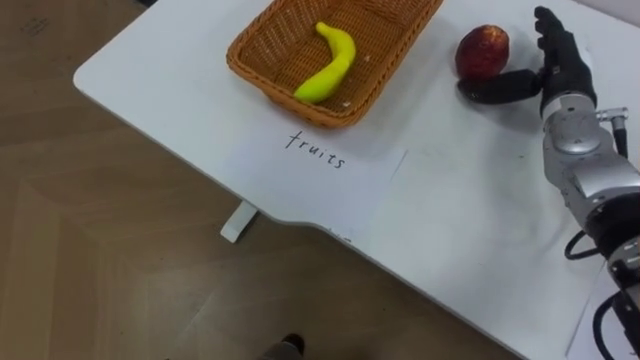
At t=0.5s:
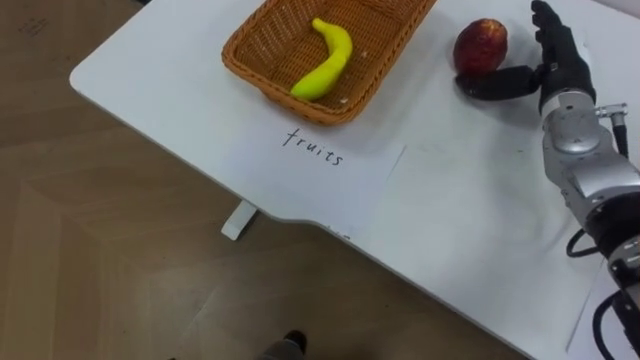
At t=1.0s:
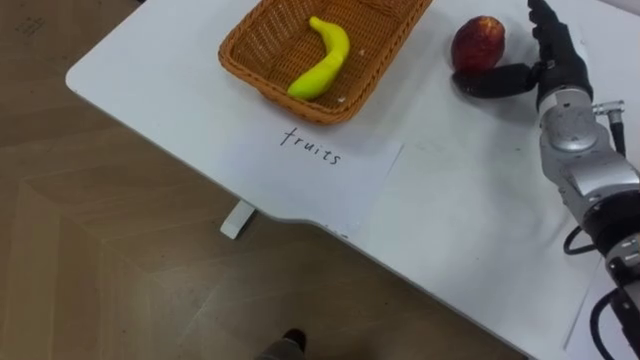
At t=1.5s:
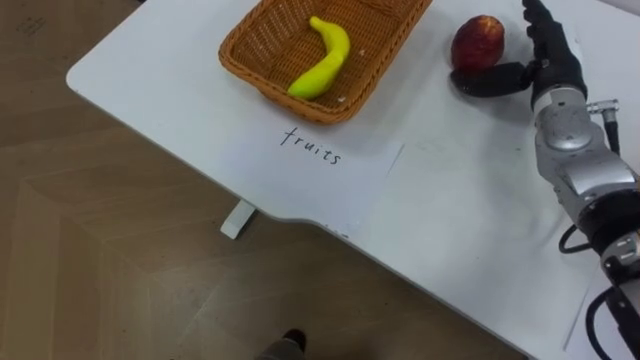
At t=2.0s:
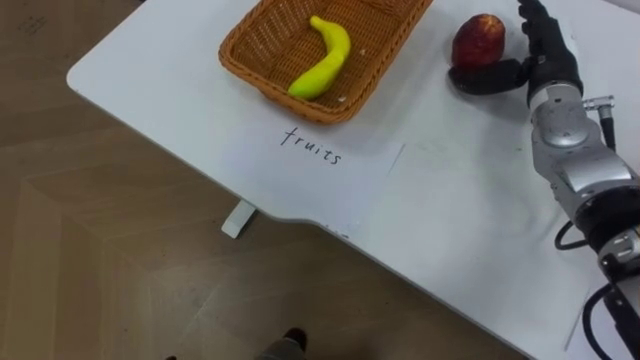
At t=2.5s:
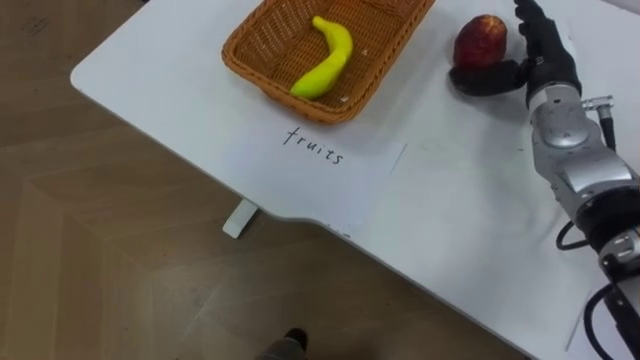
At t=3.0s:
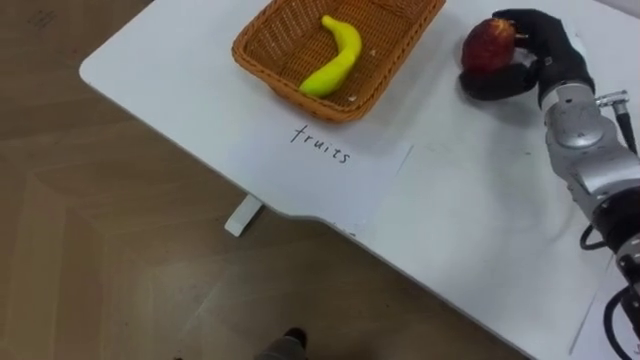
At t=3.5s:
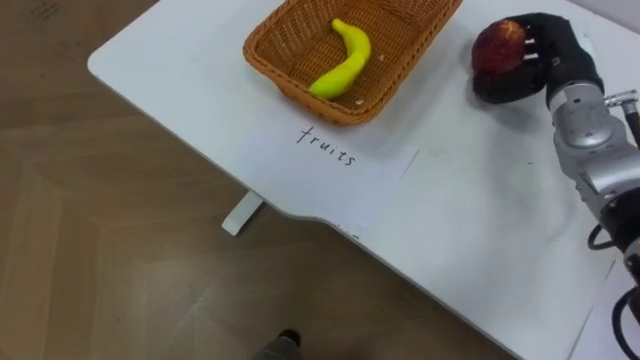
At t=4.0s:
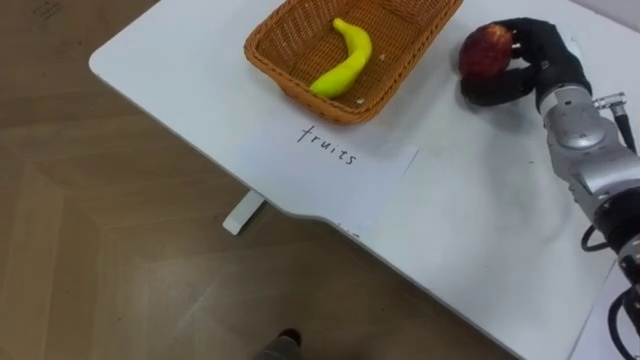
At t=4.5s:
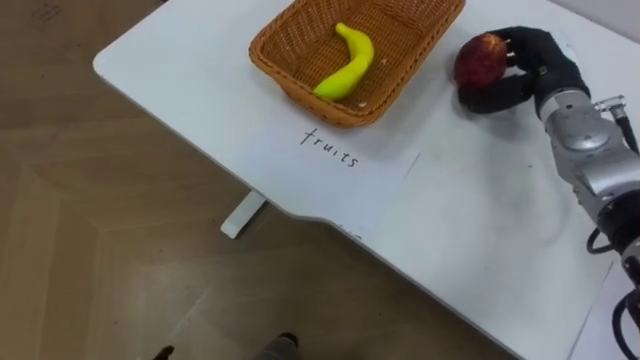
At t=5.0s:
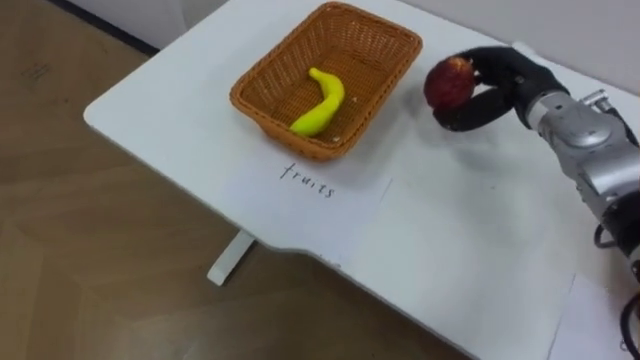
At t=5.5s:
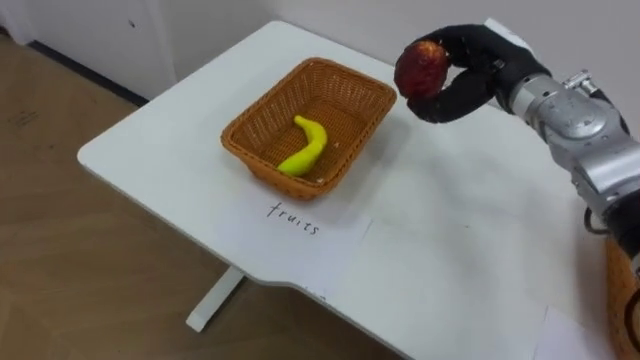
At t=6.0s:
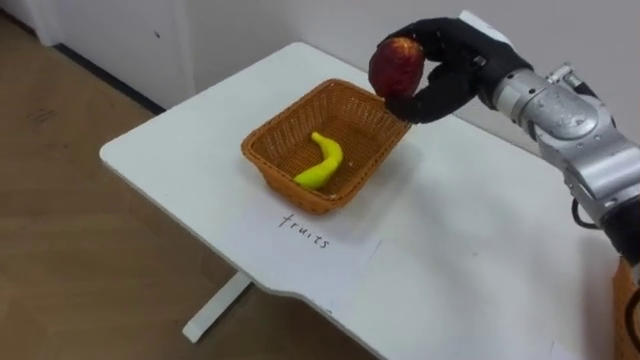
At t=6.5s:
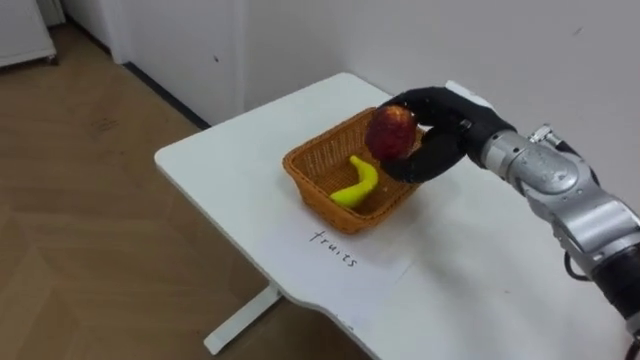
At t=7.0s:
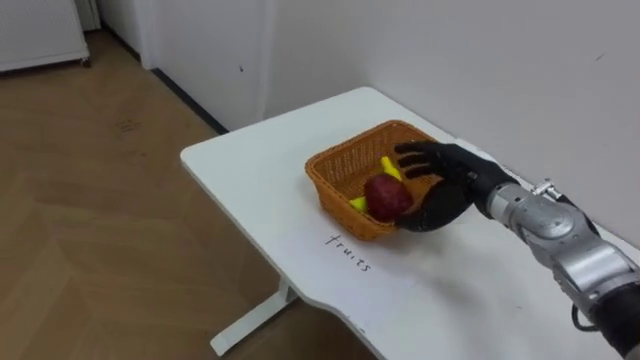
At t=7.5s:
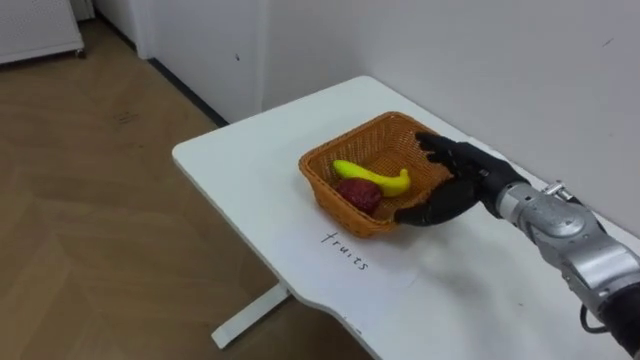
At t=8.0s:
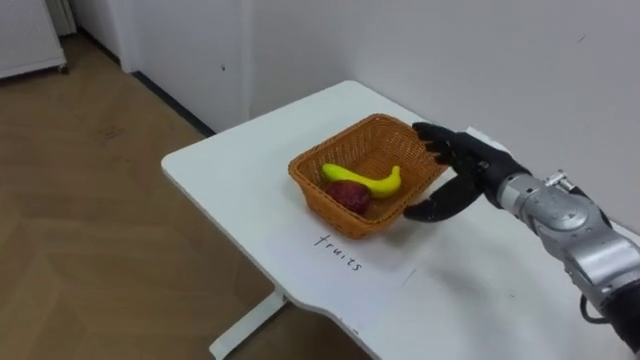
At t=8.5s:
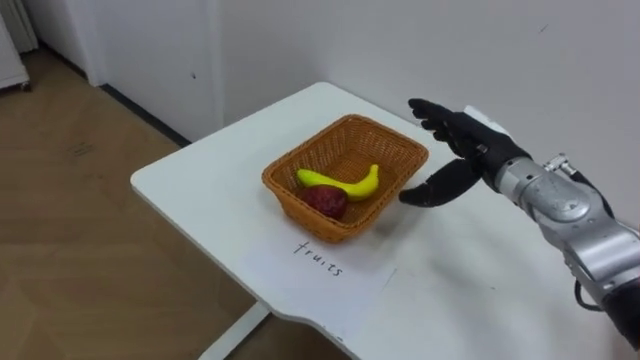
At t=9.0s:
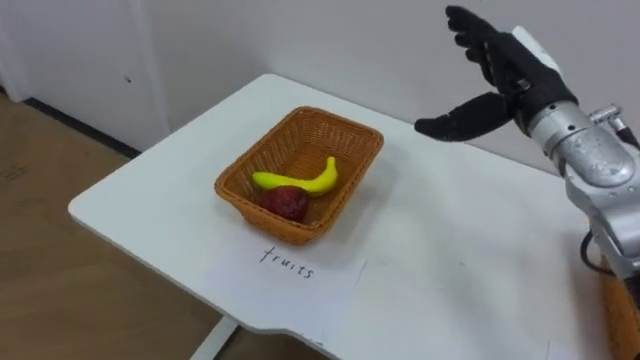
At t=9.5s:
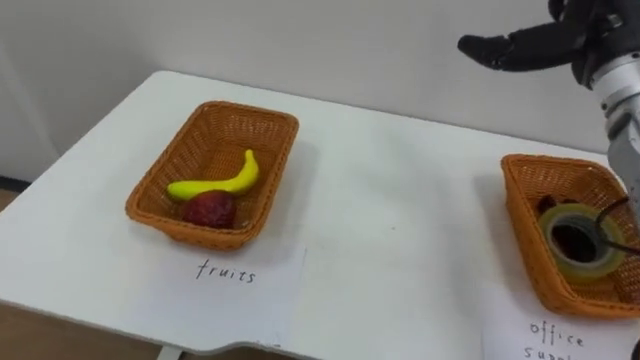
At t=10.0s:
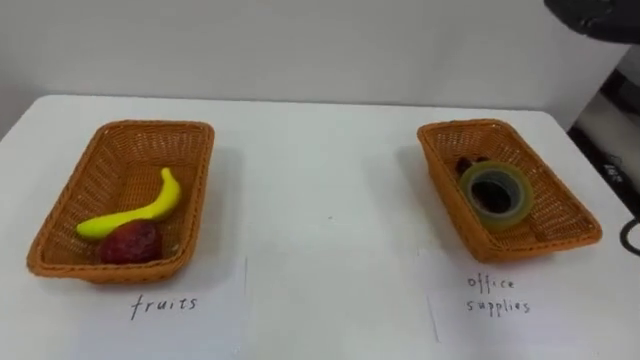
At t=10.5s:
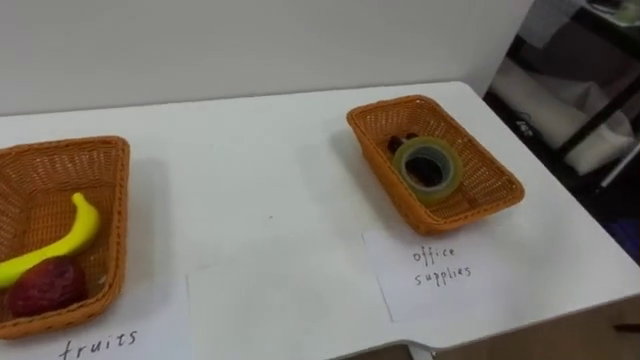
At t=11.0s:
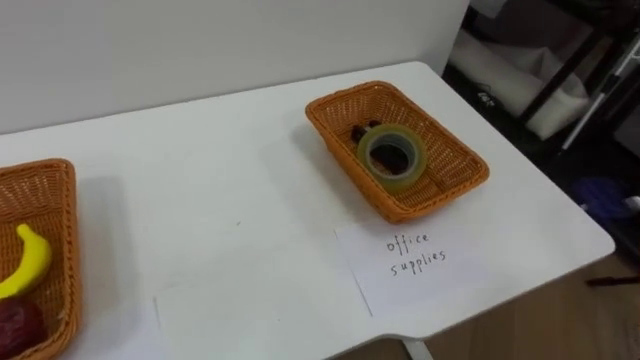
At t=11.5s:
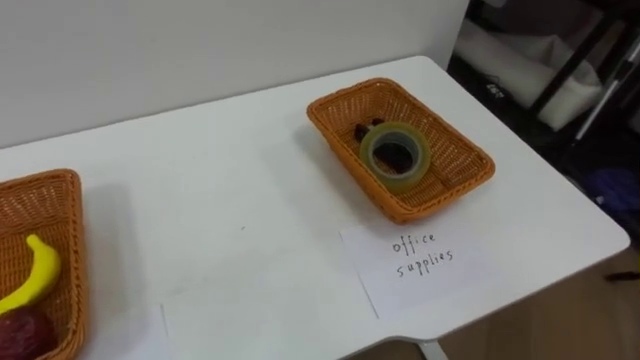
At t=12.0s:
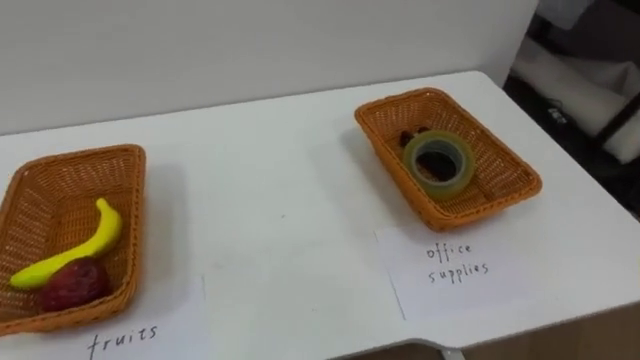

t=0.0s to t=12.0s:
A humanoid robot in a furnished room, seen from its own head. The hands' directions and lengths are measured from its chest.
Task of the whole recording: Separate the items on the table and place them into the two baskets.
t=2.0s to t=4.0s: The right hand closes its fingers.
t=4.0s to t=6.0s: The right hand shifts approximately 10 cm to the left.
t=6.0s to t=8.0s: The right hand shifts approximately 15 cm downward and backward, and opens its fingers.

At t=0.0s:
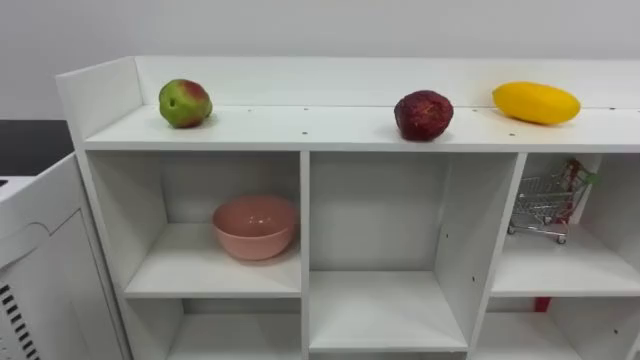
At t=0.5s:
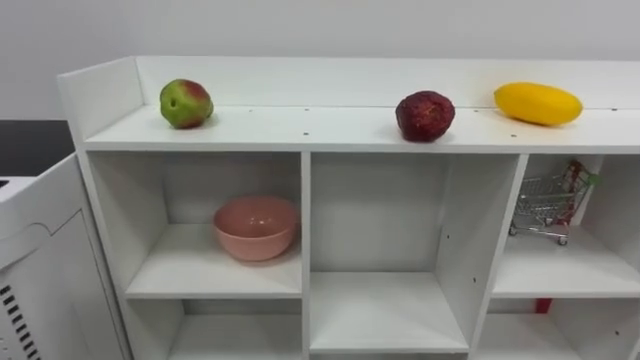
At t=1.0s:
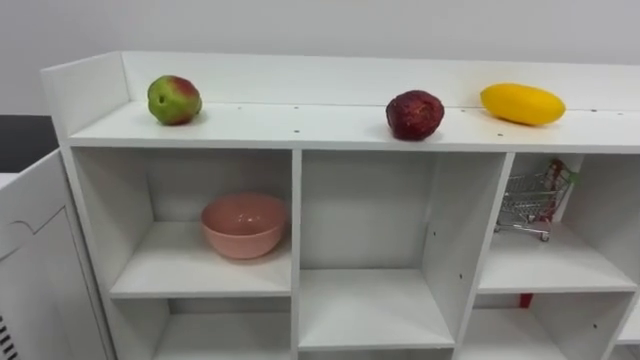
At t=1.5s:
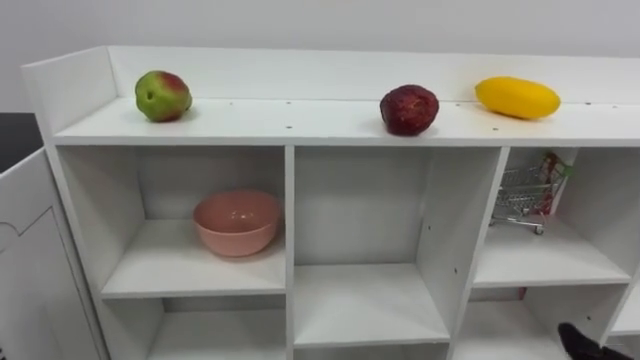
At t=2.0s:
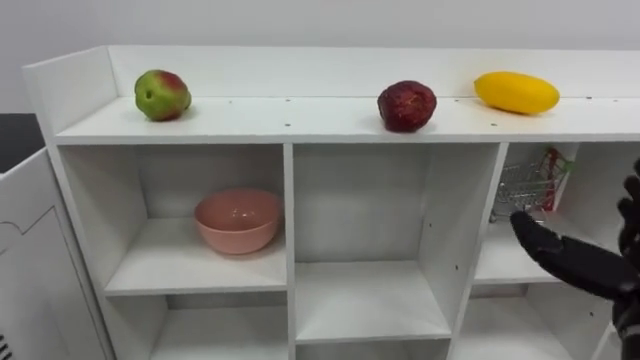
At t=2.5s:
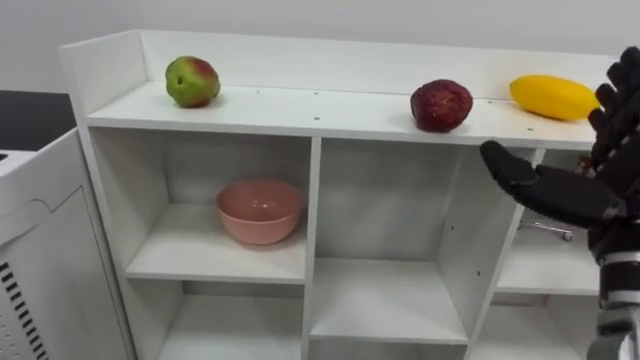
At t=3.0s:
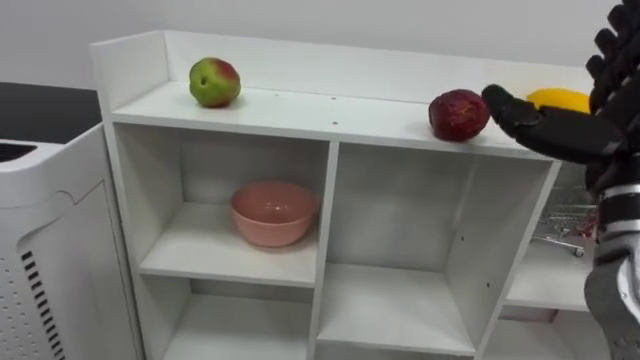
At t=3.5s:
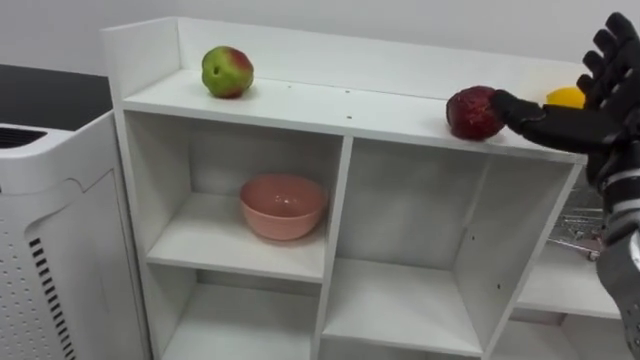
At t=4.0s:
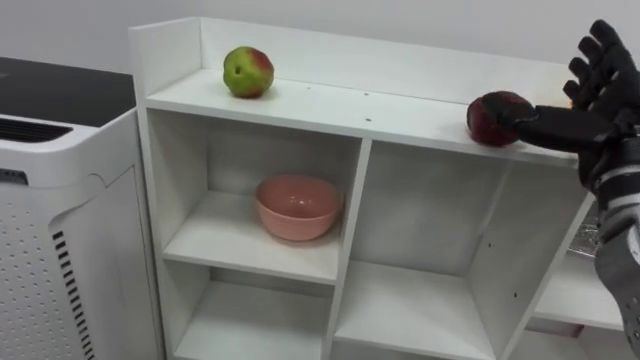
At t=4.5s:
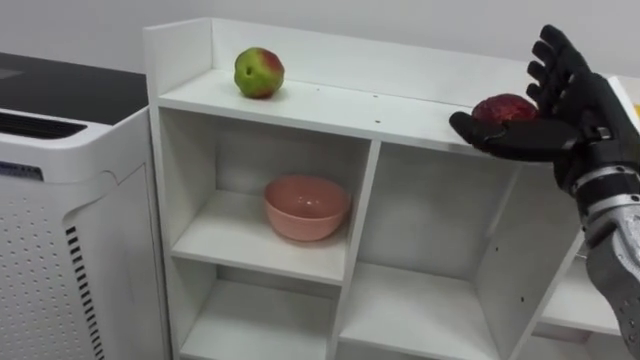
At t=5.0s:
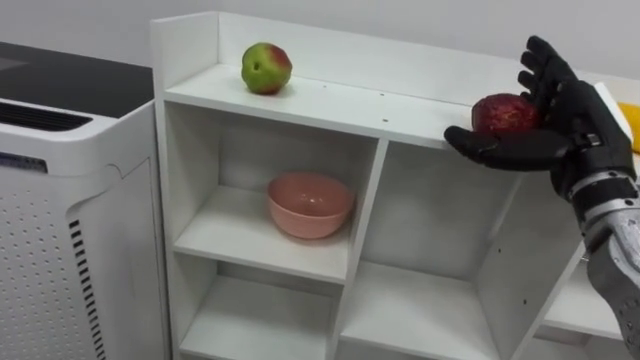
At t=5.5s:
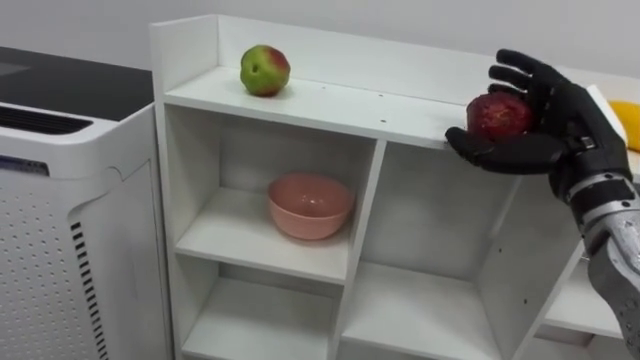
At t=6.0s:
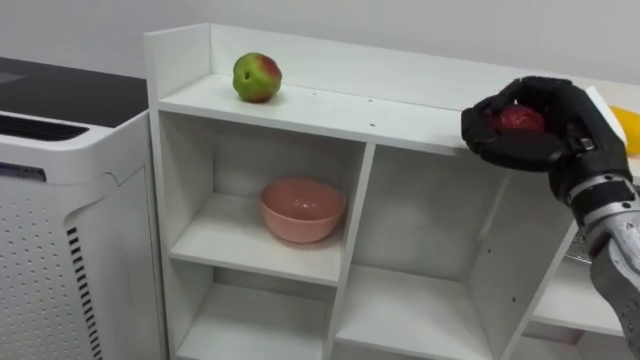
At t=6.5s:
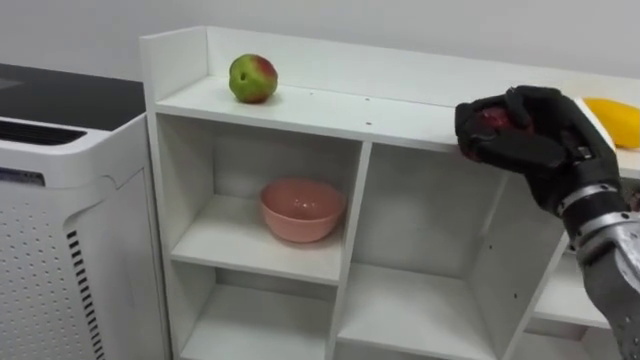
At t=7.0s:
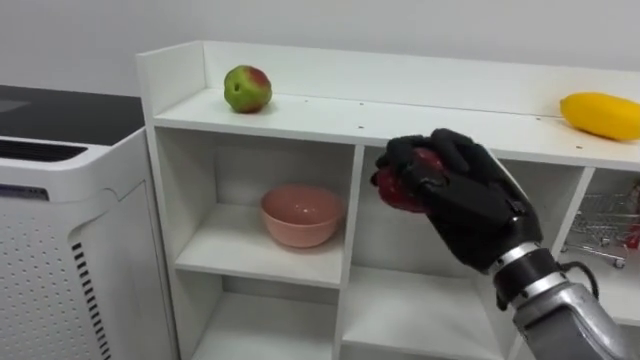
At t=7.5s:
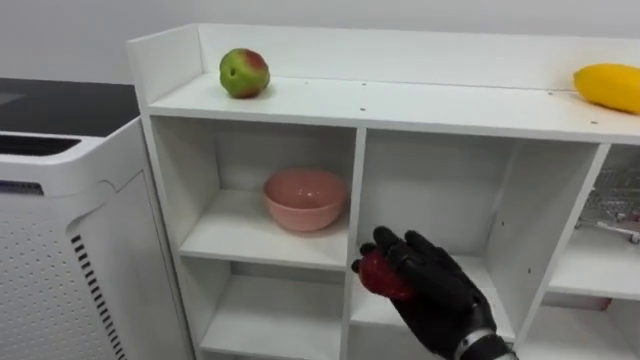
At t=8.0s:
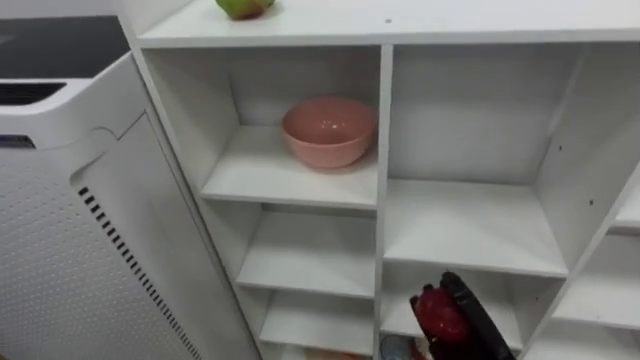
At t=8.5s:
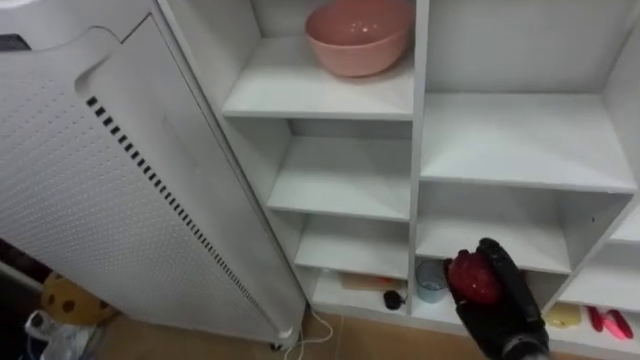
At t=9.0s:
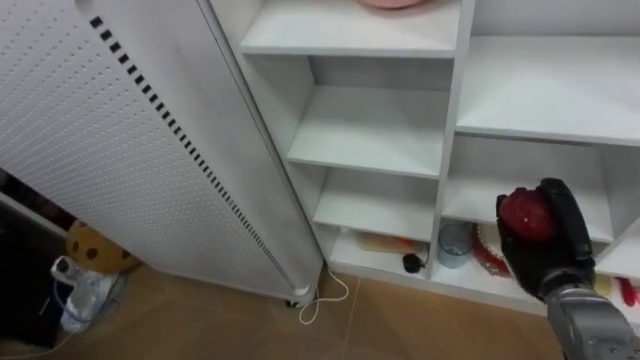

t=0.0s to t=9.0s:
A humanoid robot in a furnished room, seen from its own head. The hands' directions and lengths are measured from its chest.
Task of the whole recording: Put the apple in the cell in the second column from the left and the second row from the top.
t=4.5s to t=7.0s: The right hand moves to the left and downward, about 10 cm, and closes its fingers.
t=7.0s to t=9.0s: The right hand moves downward, to the right and forward, about 20 cm.
